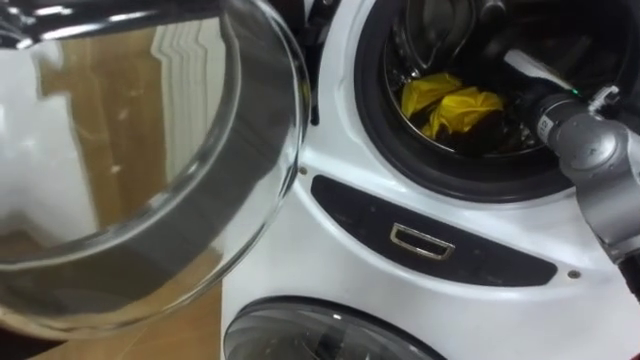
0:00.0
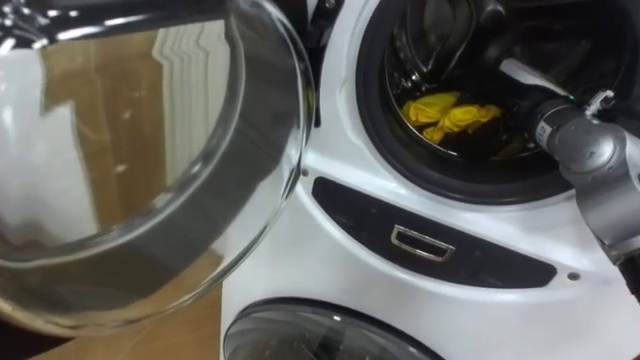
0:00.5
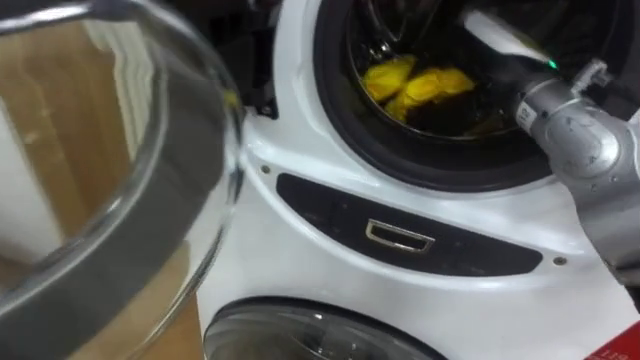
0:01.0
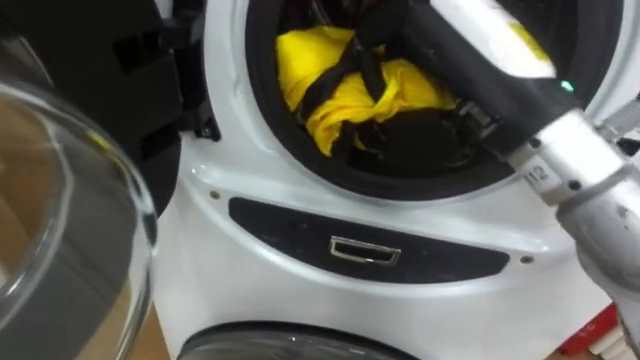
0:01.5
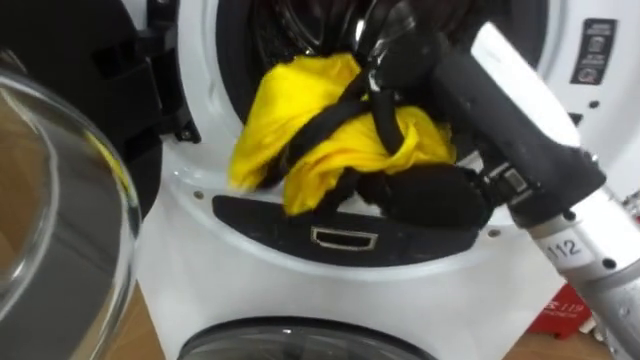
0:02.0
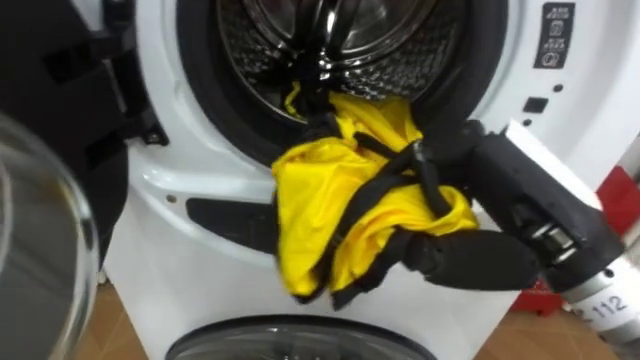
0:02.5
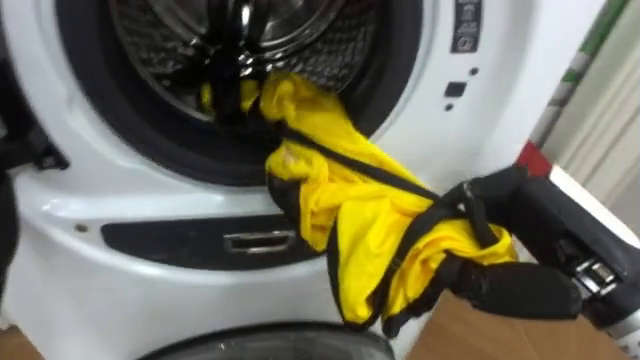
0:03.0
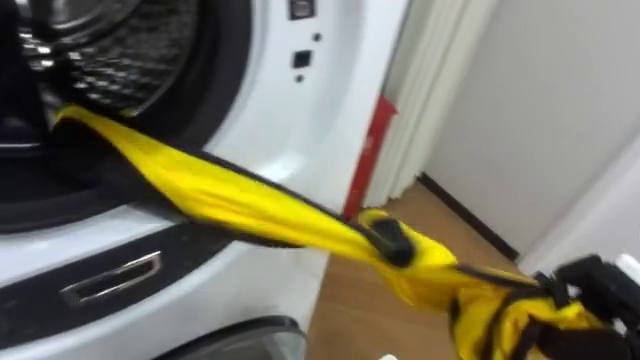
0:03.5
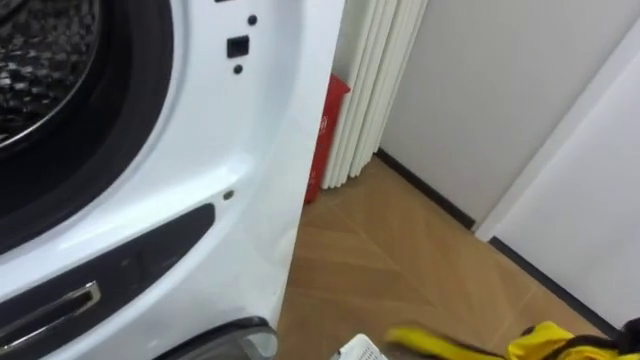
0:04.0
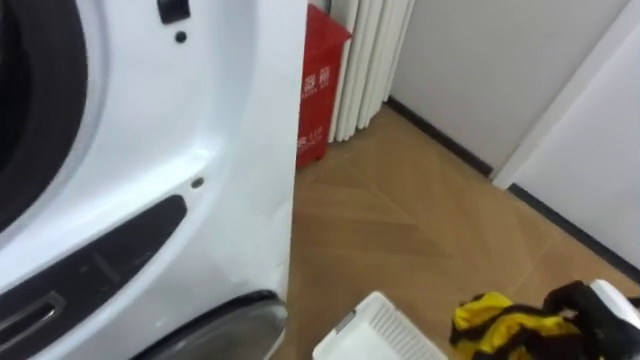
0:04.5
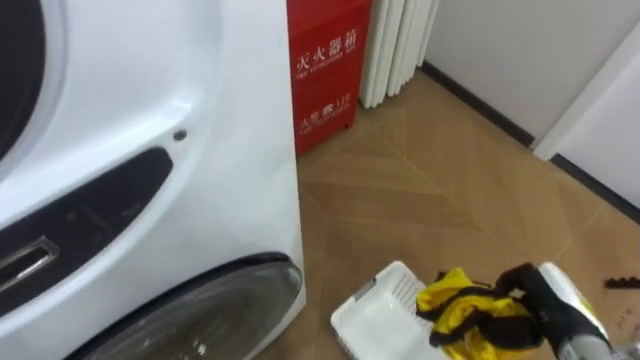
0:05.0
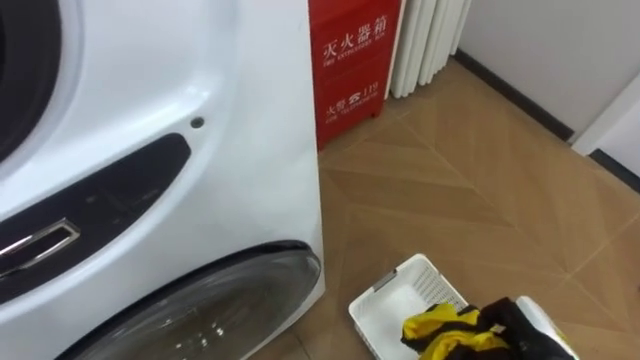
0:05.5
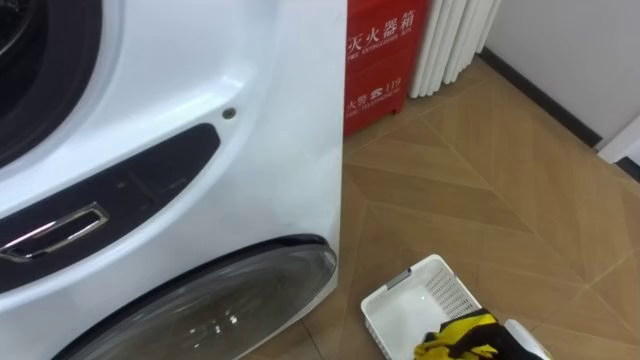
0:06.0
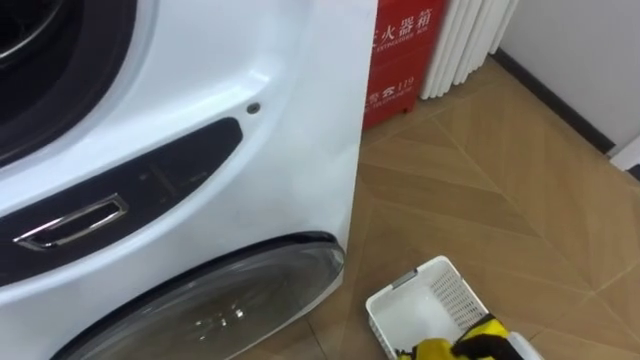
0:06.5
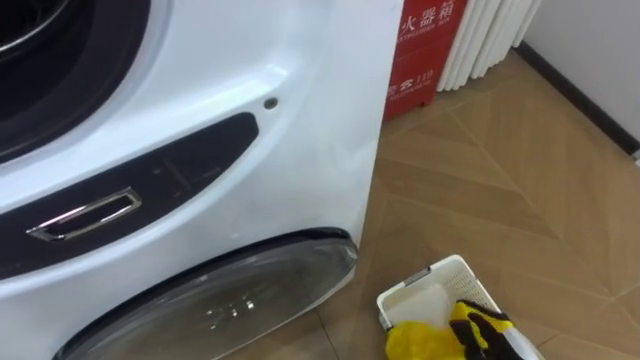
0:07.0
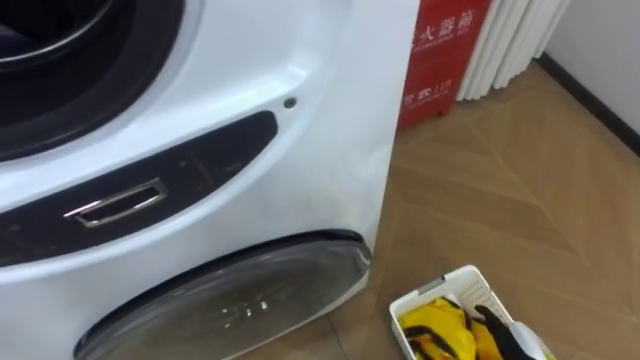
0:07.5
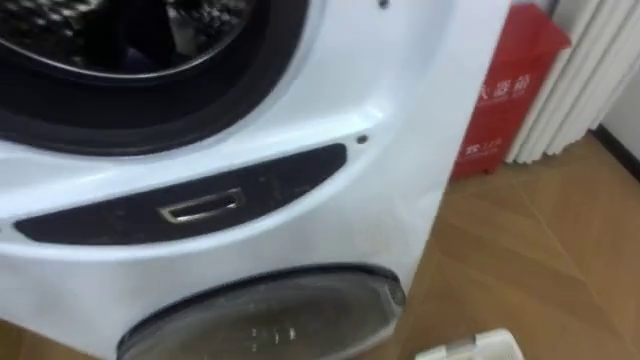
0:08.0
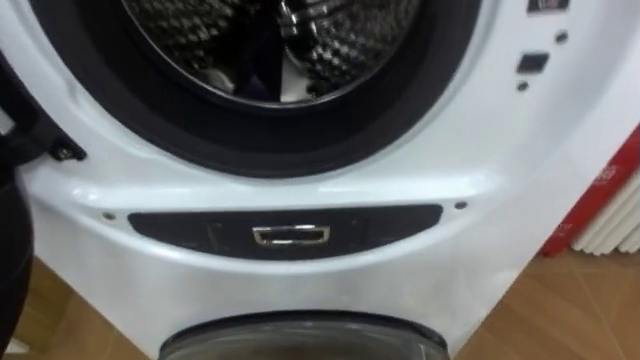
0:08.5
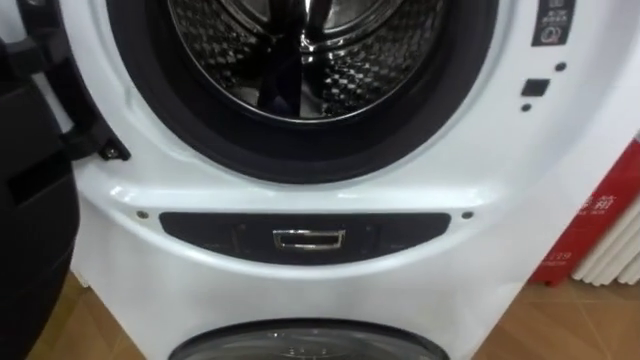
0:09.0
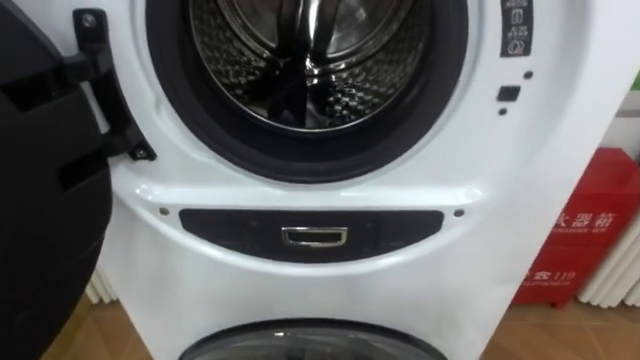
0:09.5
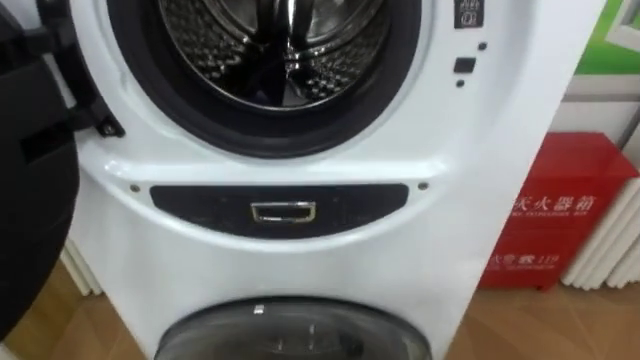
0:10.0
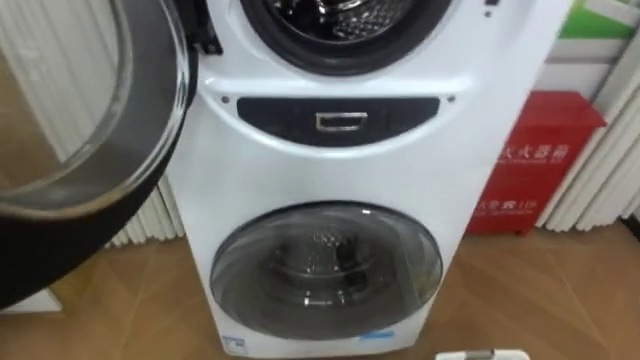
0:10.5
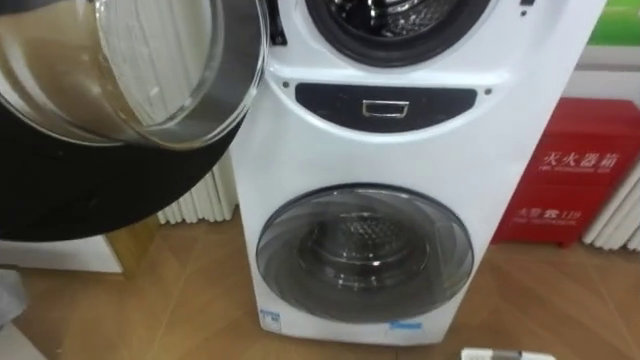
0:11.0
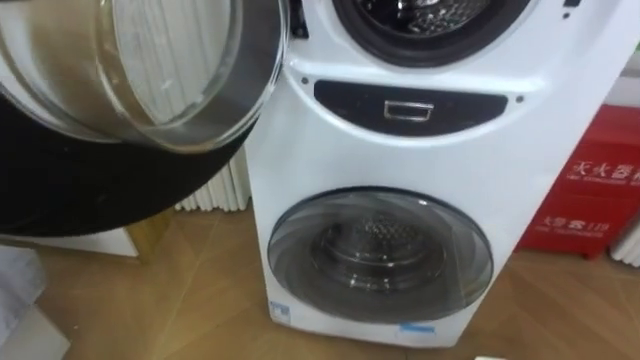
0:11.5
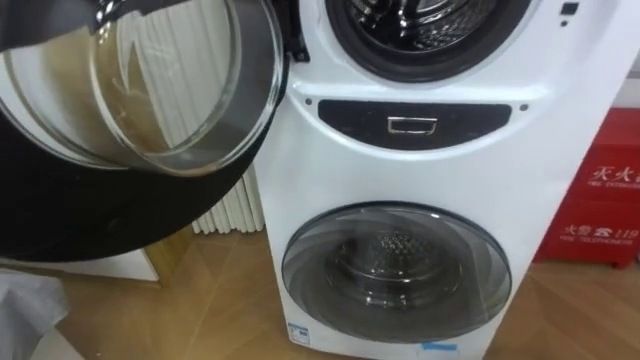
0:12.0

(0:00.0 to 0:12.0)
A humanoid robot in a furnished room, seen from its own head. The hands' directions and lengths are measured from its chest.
Task of the whole recording: Open the washing machine door, take out the yellow clothes, place them in the box on the right, and close the washing machine door.
0:00.0 - 0:02.0: The right hand is displaced backward, to the left and upward by some 25 cm, and closes.

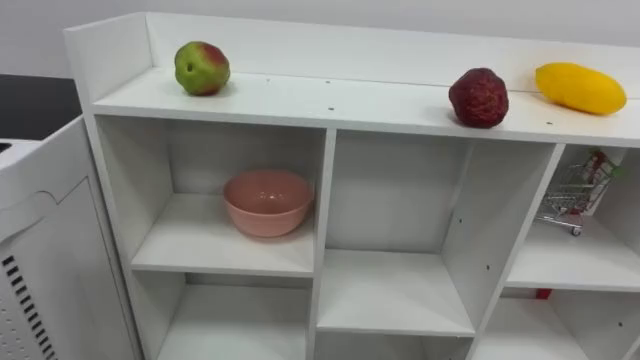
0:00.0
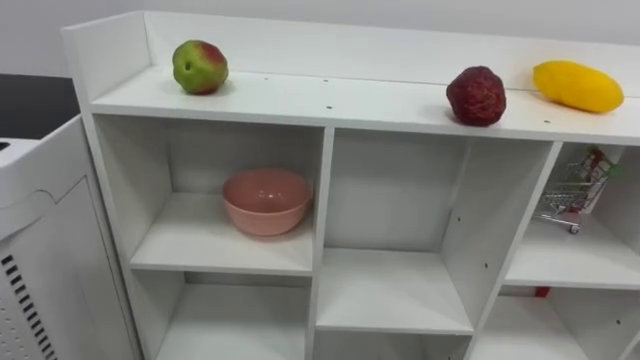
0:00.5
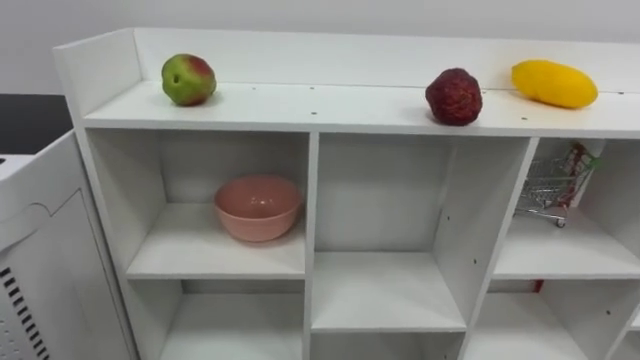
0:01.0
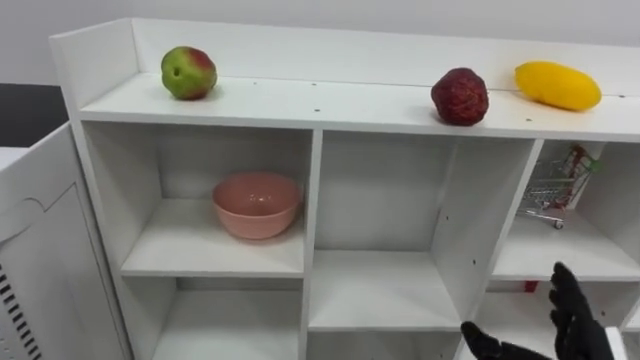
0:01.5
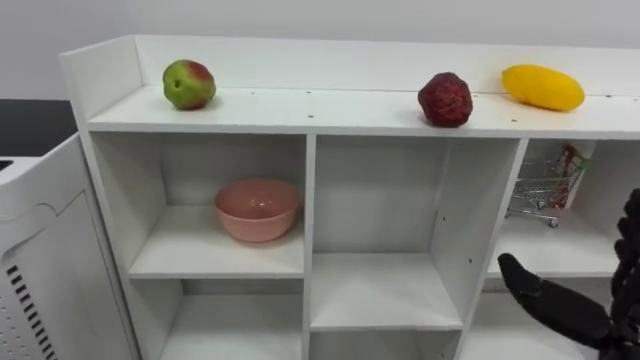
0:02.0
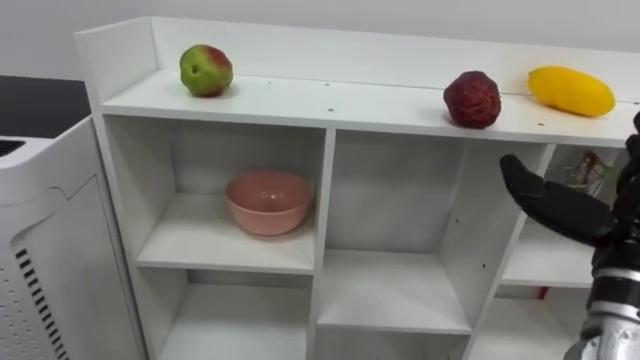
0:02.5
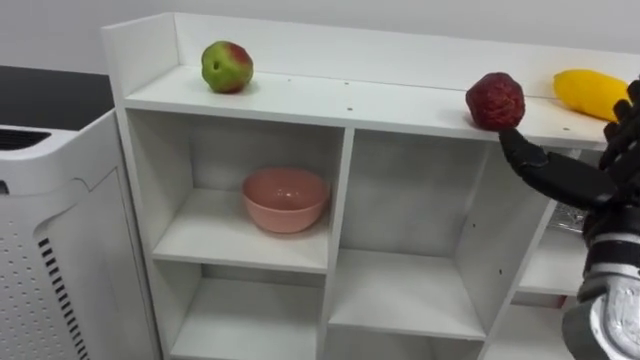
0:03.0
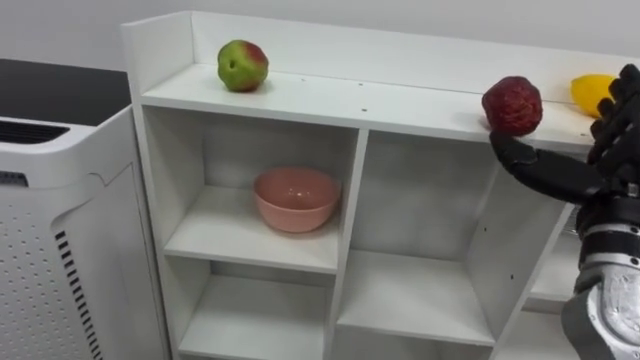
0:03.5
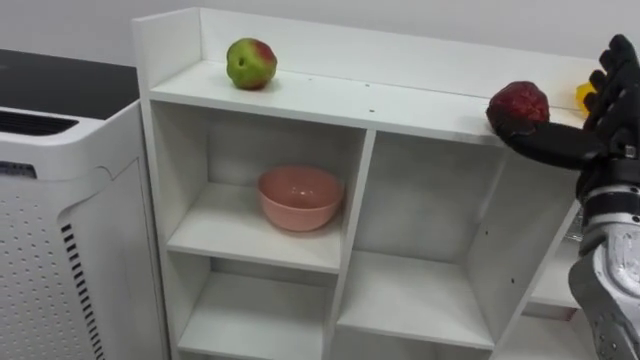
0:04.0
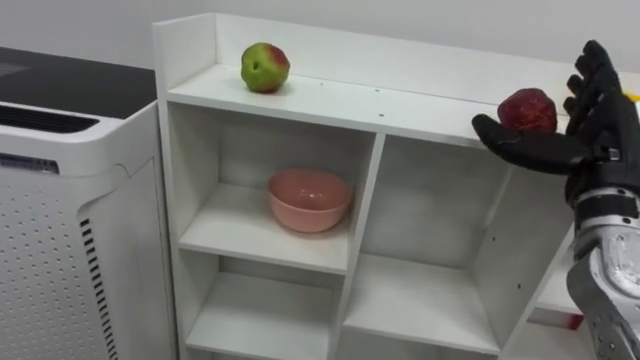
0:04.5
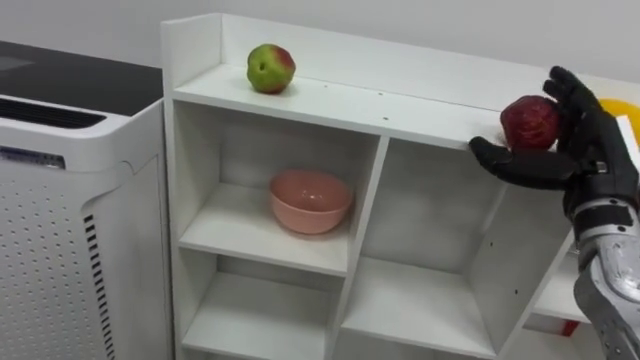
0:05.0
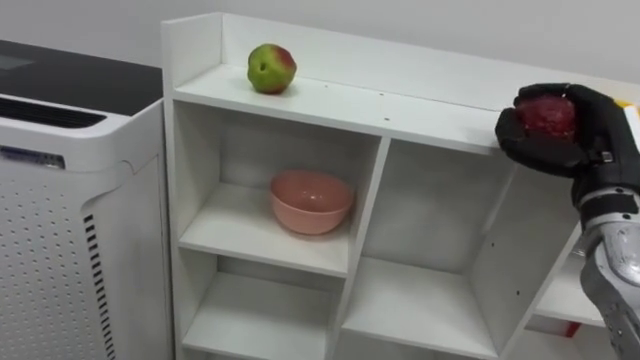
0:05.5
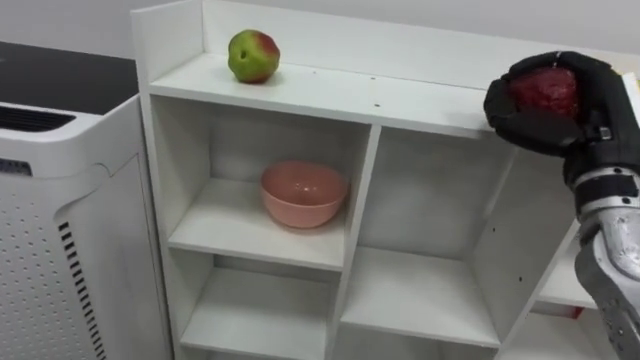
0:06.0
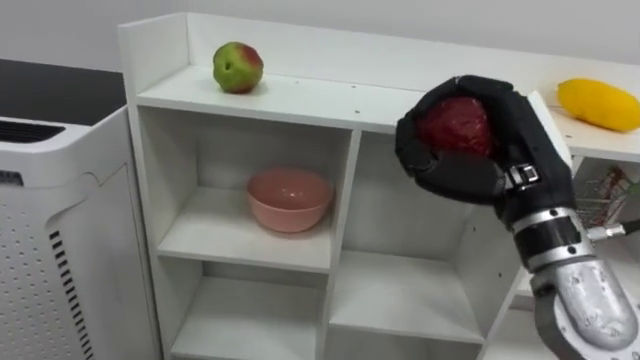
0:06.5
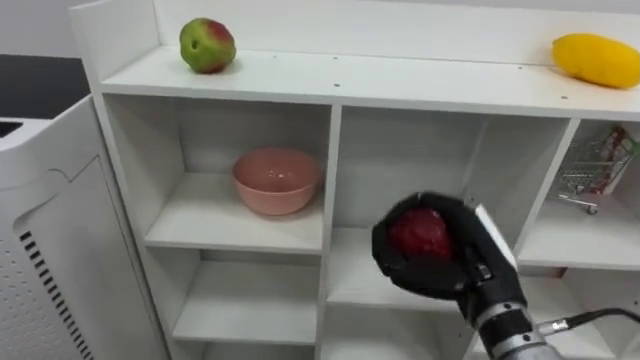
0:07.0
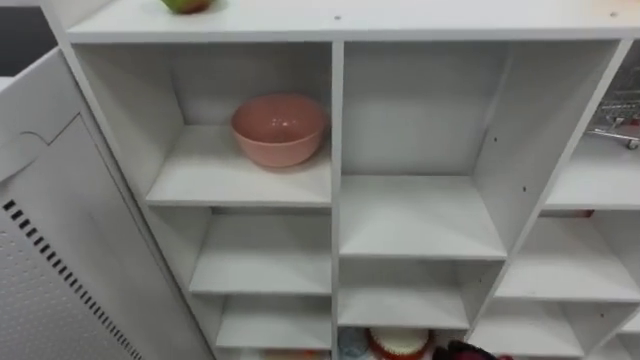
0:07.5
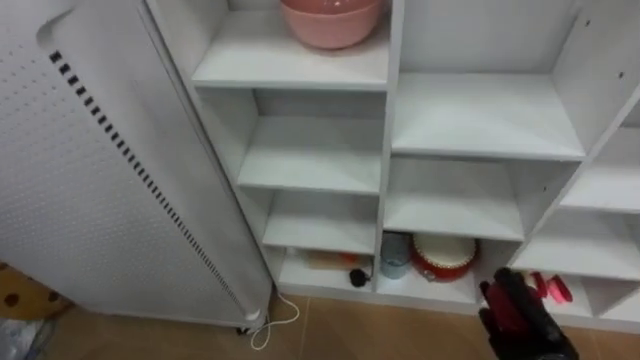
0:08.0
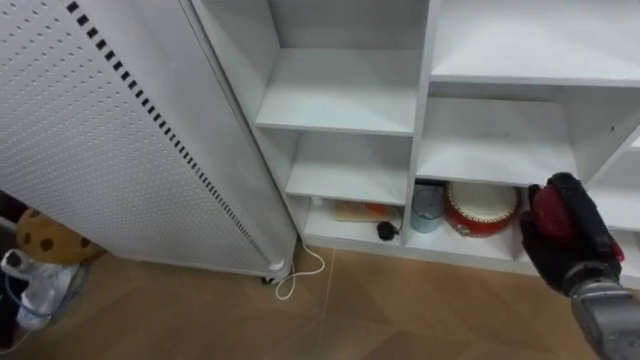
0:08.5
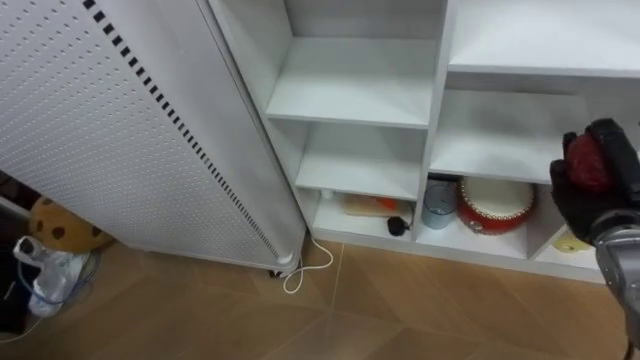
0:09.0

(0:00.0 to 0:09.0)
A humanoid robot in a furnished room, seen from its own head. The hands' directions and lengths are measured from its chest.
Task of the whole recording: Put the apple in the cell in the second column from the left and the second row from the top.
0:02.0 - 0:04.5: The right hand is displaced upward and forward by about 15 cm.
0:04.5 - 0:07.0: The right hand travels to the left and downward by approximately 15 cm, and closes its fingers.
